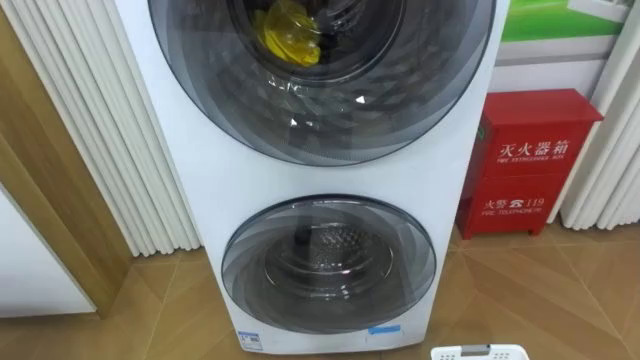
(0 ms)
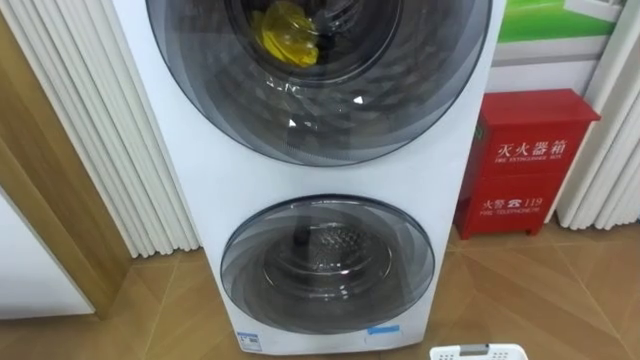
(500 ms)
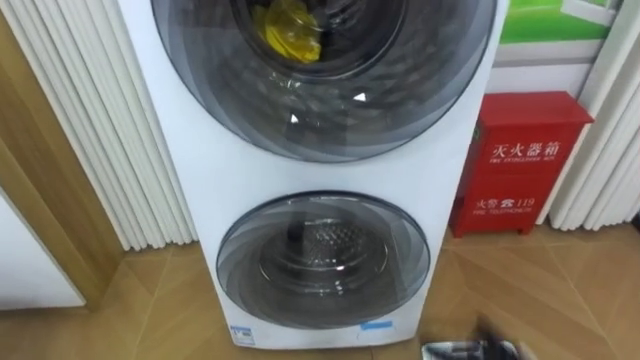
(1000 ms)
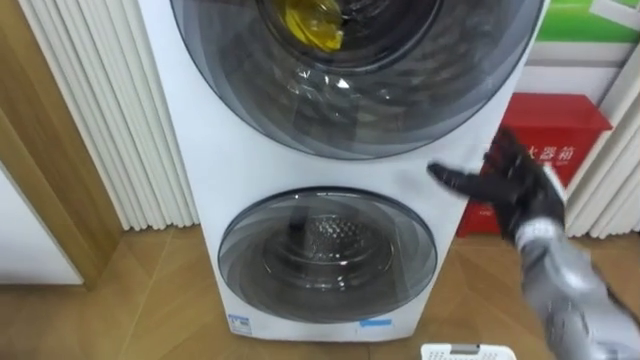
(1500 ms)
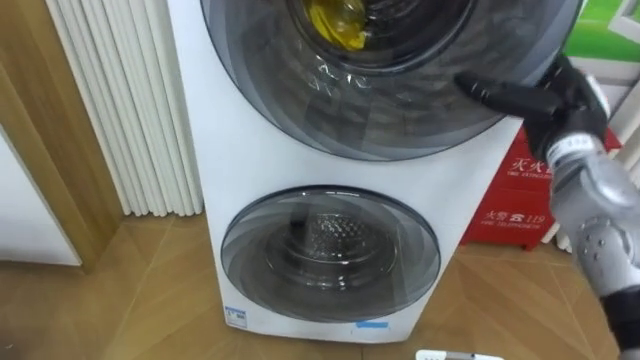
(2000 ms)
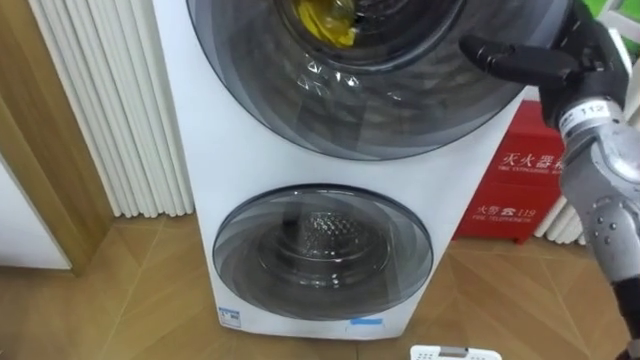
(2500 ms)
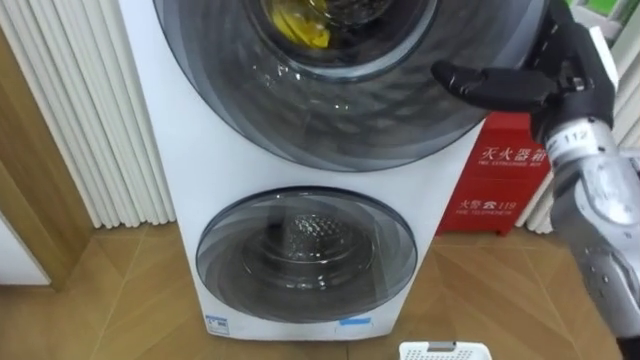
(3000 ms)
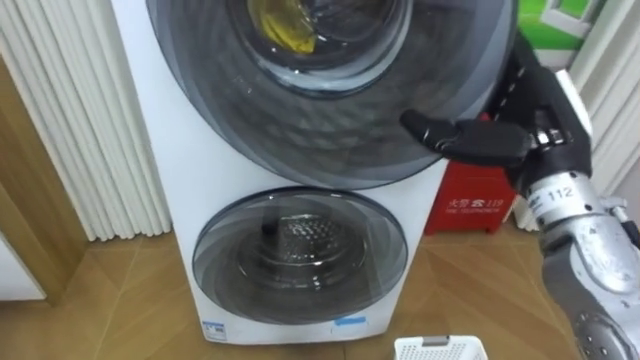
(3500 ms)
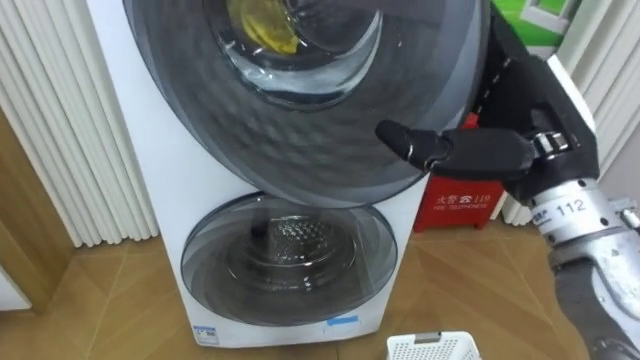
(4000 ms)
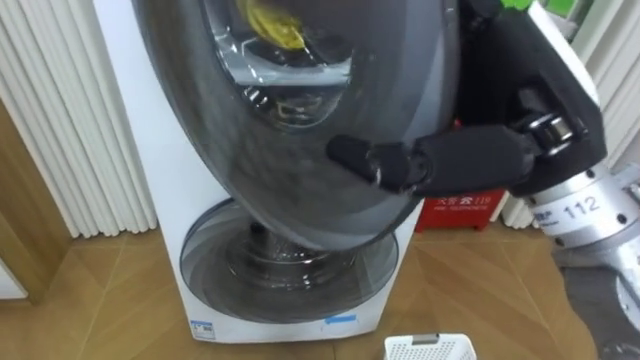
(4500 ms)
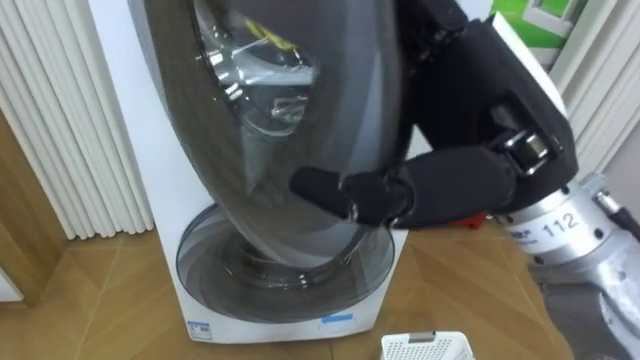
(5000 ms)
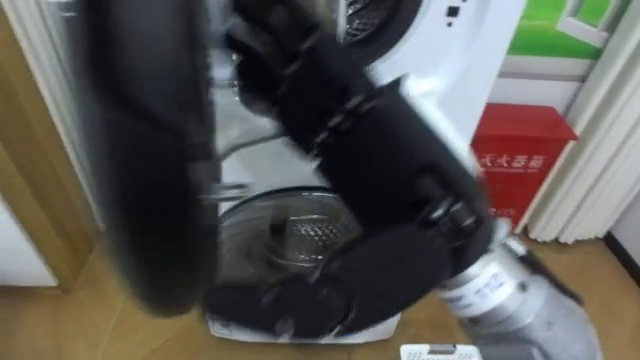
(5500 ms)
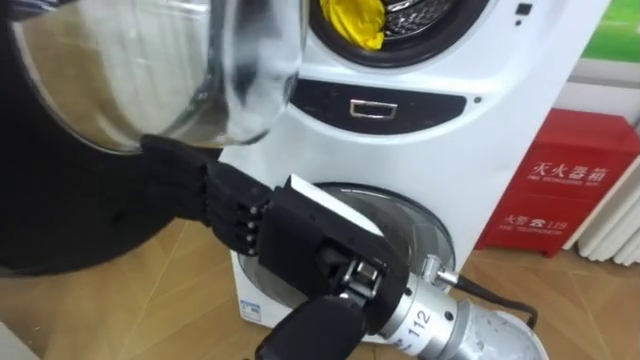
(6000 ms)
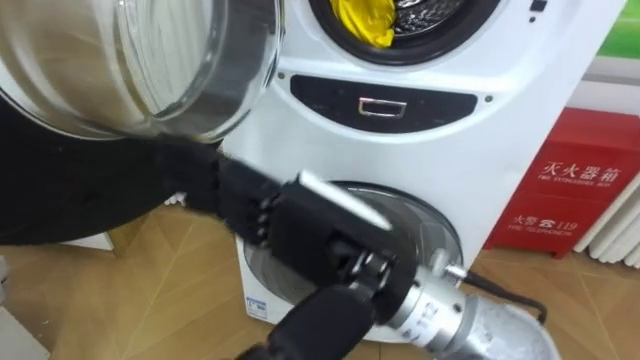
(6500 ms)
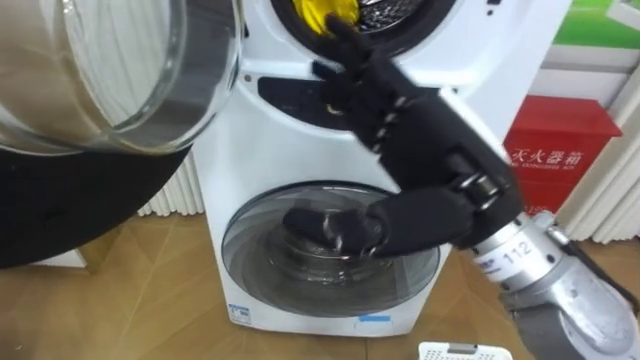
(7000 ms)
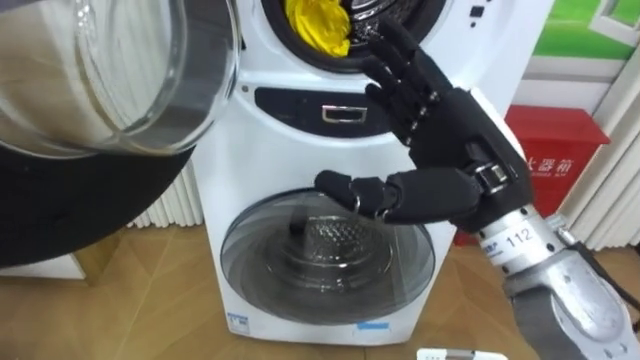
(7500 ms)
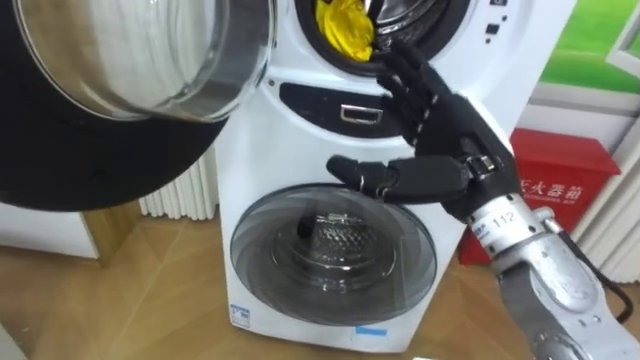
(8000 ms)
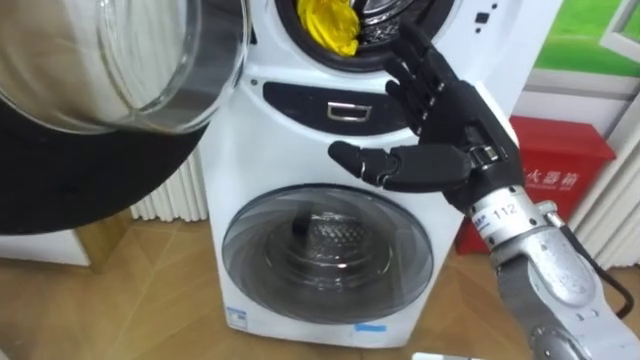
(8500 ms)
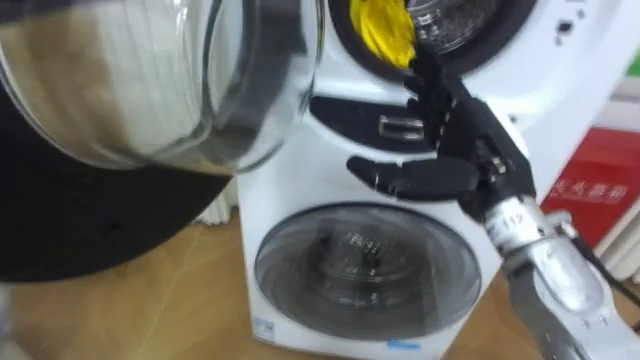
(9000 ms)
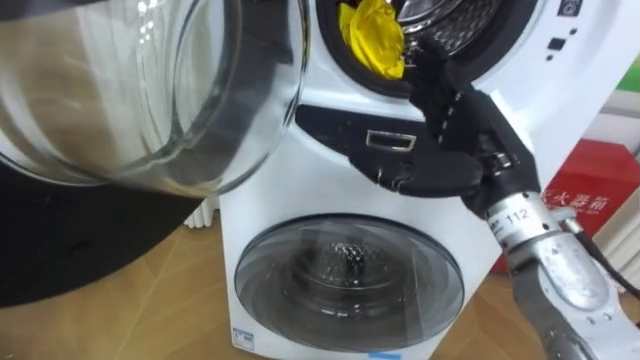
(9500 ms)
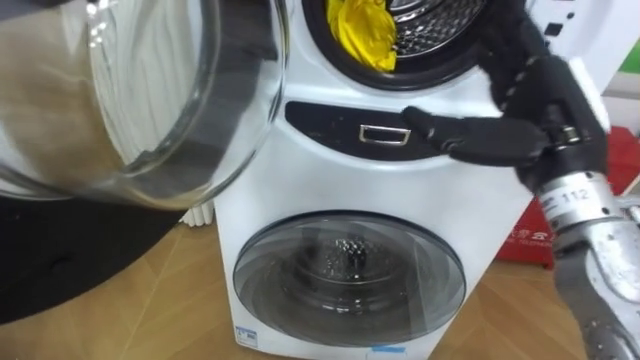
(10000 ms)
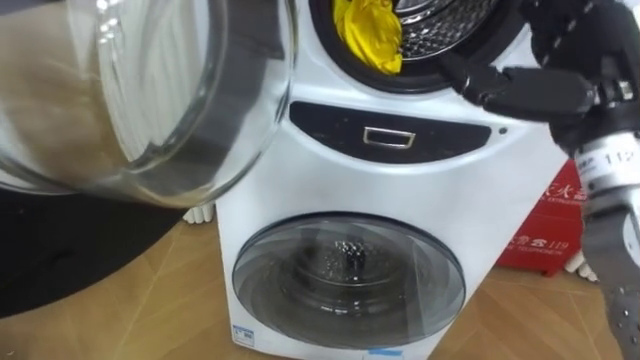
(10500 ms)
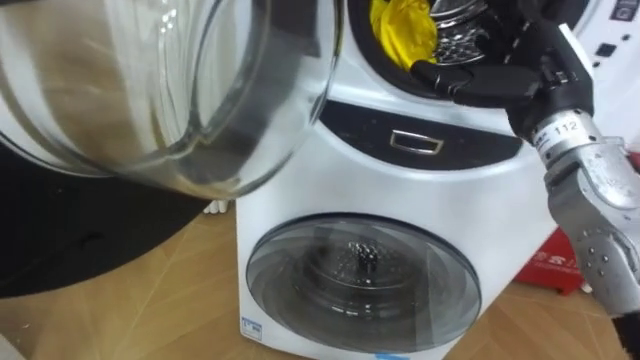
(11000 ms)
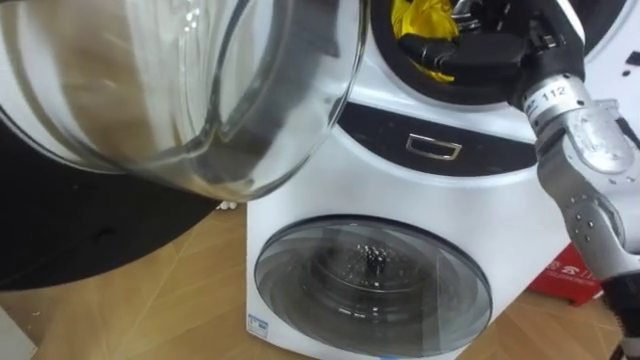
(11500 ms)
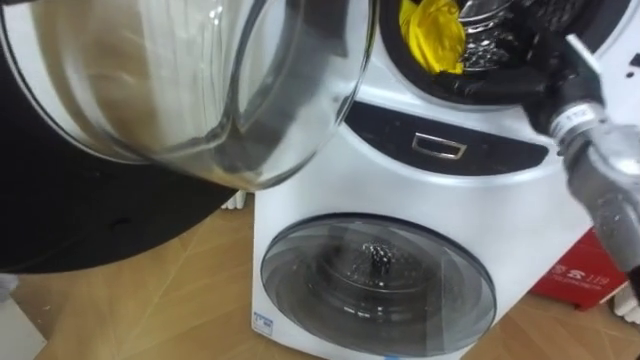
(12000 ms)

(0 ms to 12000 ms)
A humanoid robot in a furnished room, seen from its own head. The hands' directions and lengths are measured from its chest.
Task of the whole recording: Open the washing machine door, take out the yellow clothes, place them in the box on the right, and close the washing machine door.
2000 ms - 4000 ms: The right hand travels backward, to the left and upward by approximately 15 cm.
4000 ms - 6000 ms: The right hand shifts about 20 cm to the left and backward.
6000 ms - 8000 ms: The right hand shifts approximately 15 cm to the right and forward.
8000 ms - 10000 ms: The right hand moves to the right, about 5 cm.
10000 ms - 12000 ms: The right hand moves forward, approximately 10 cm.

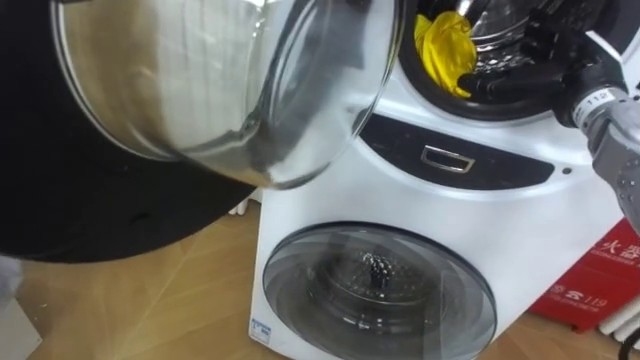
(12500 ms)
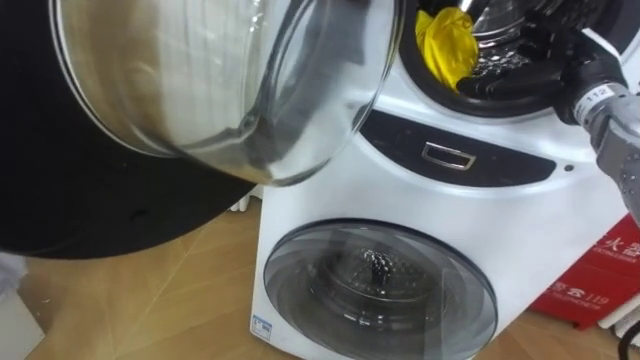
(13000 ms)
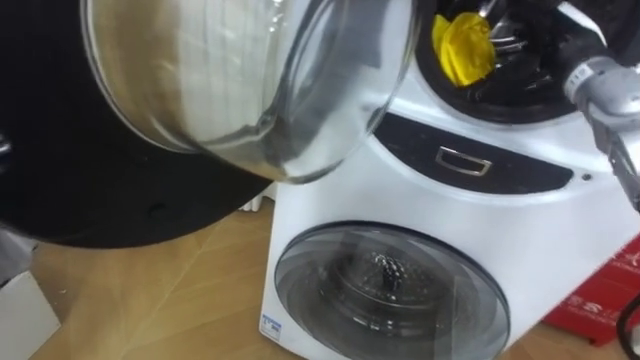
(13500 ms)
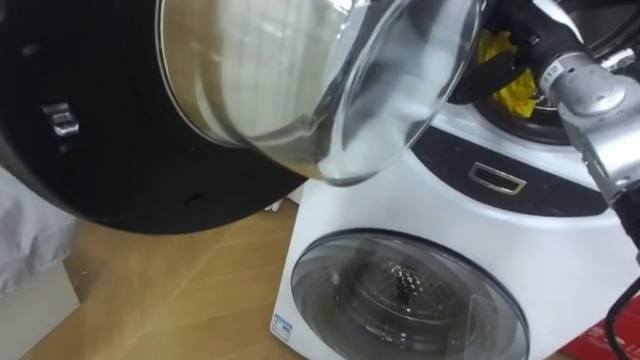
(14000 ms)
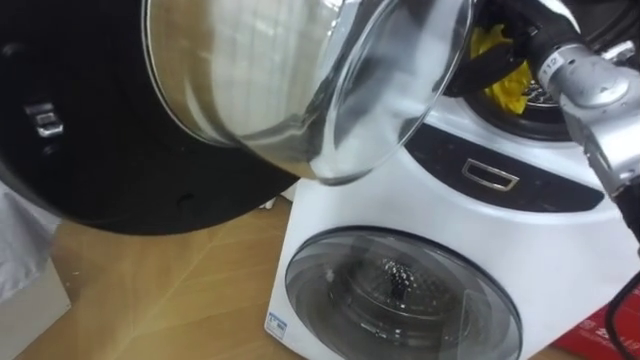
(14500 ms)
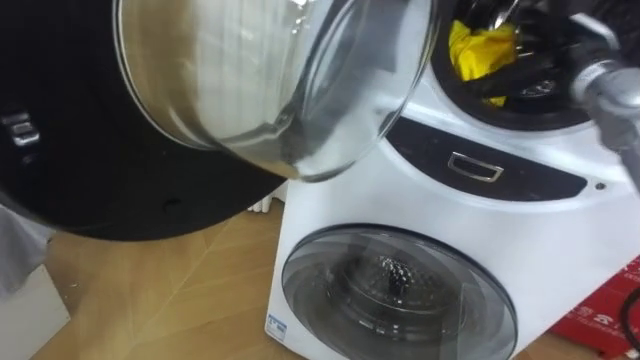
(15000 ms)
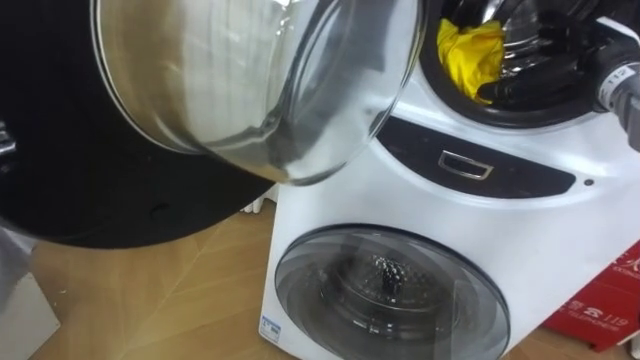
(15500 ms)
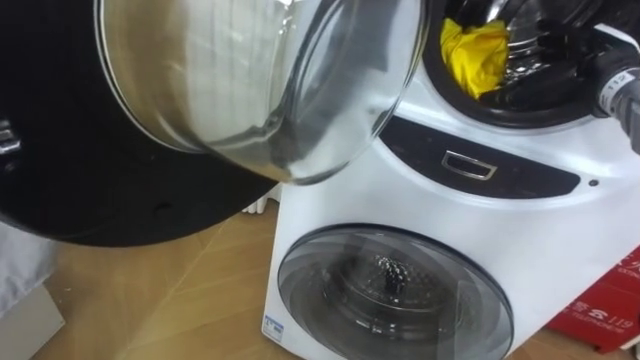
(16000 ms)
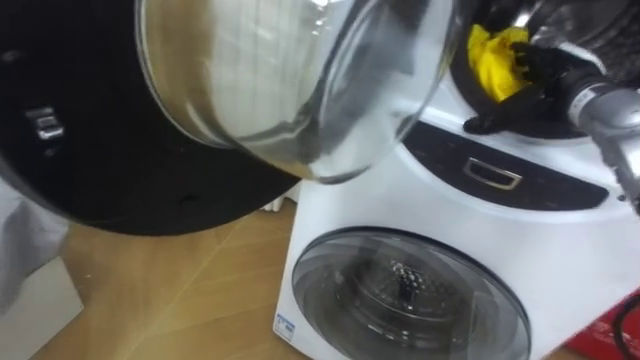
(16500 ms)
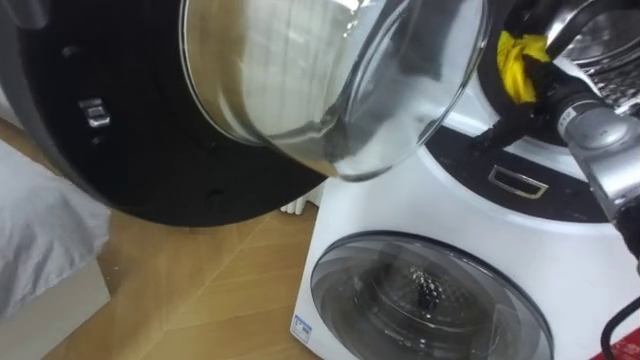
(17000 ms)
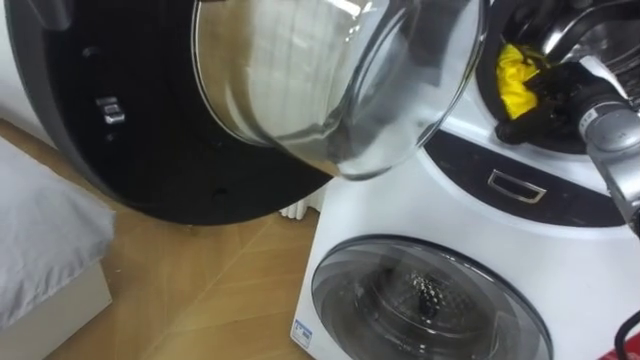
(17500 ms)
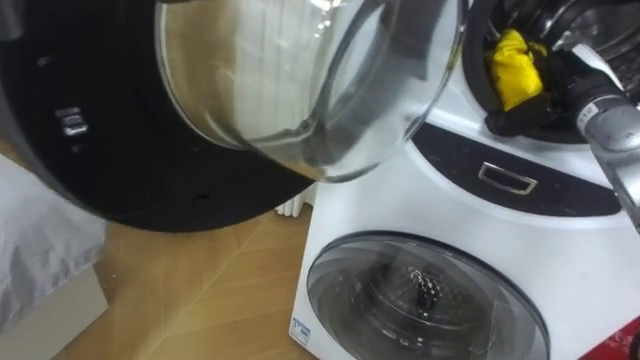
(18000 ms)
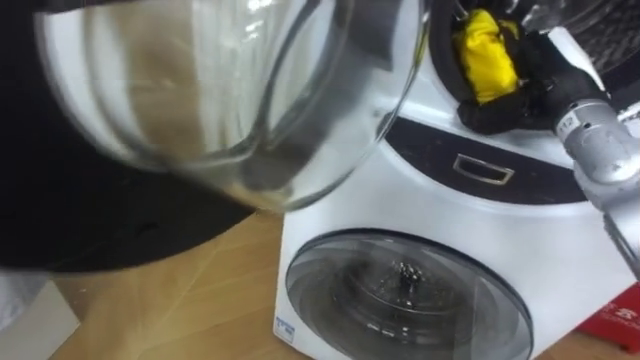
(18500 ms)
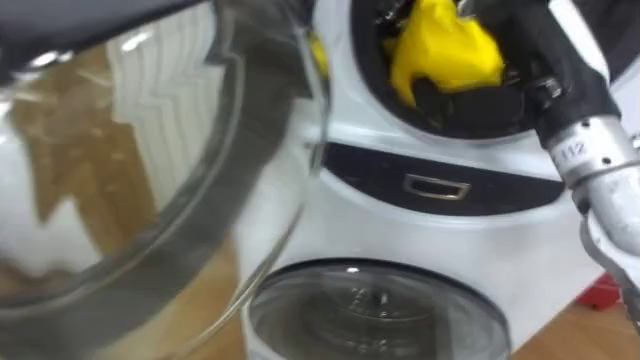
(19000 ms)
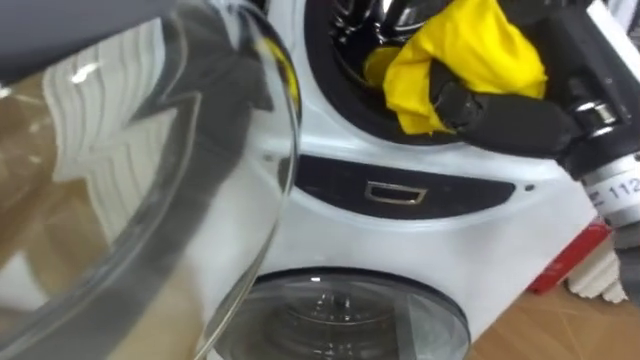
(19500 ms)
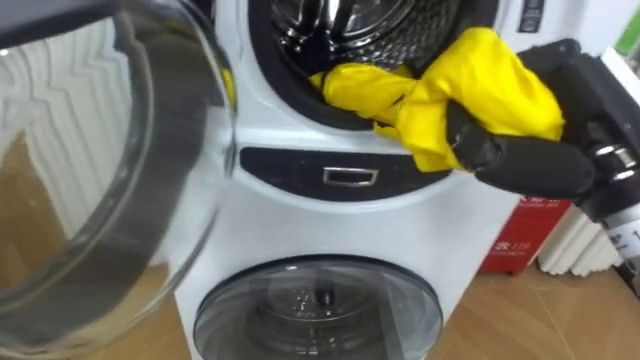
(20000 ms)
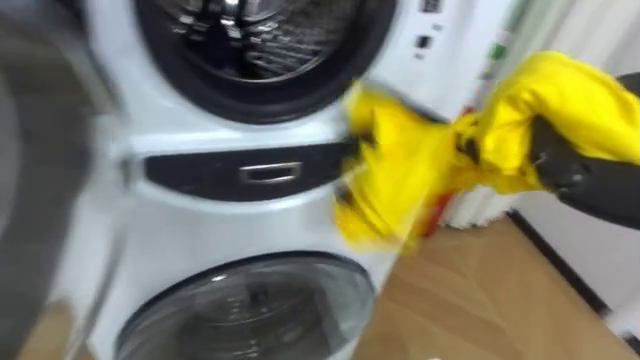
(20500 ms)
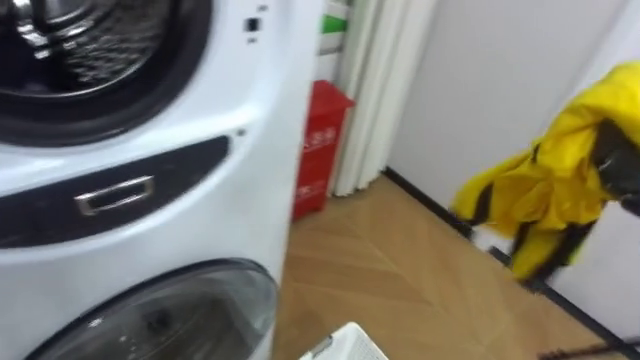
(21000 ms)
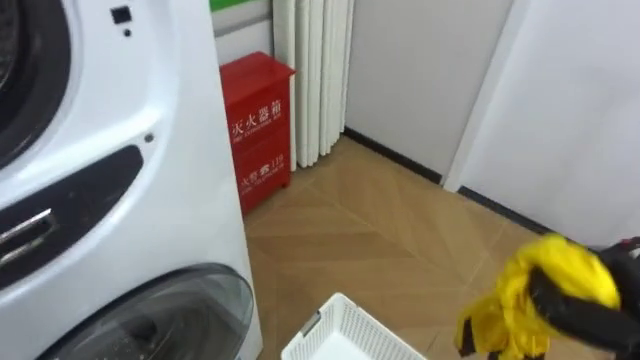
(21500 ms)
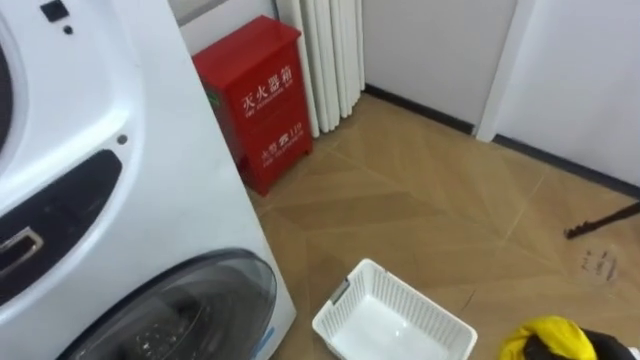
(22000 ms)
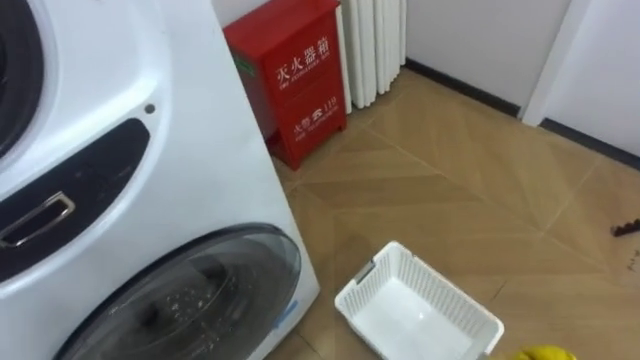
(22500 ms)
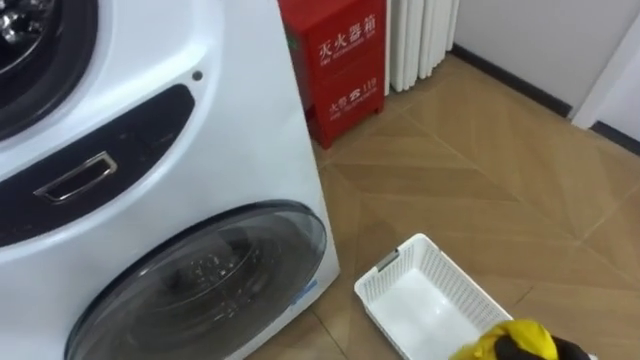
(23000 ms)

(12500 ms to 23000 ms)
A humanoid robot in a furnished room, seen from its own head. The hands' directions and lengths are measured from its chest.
Task of the whole recording: Open the washing machine door, take out the yellow clothes, place them in the box on the right, and close the washing machine door.
12500 ms - 14500 ms: The right hand is displaced to the left by approximately 5 cm.
14500 ms - 16500 ms: The right hand shifts some 5 cm downward.
16500 ms - 19000 ms: The right hand goes roughly 15 cm backward, to the left and upward, and closes.
